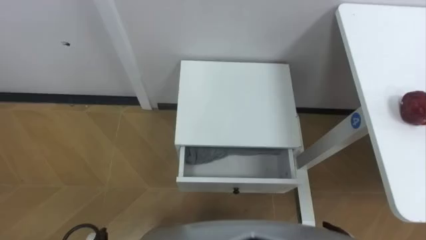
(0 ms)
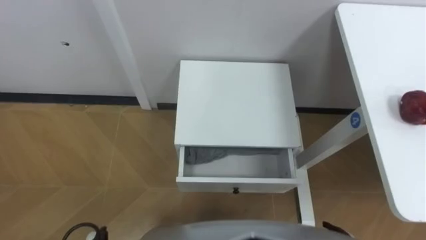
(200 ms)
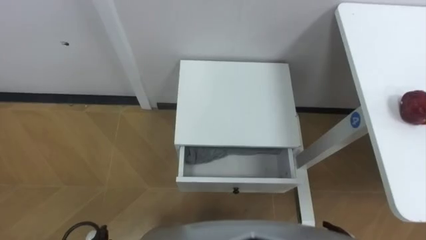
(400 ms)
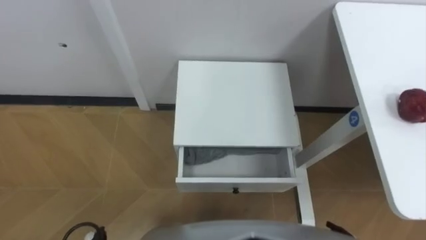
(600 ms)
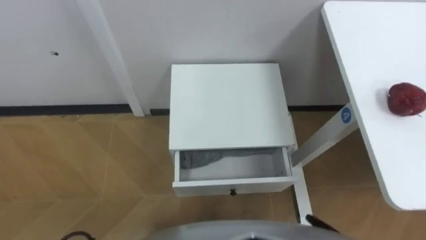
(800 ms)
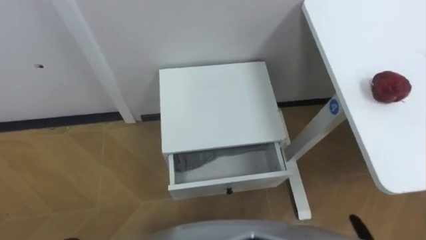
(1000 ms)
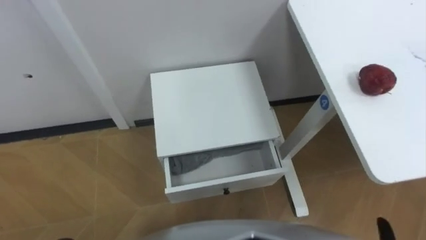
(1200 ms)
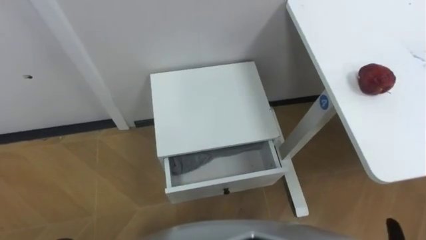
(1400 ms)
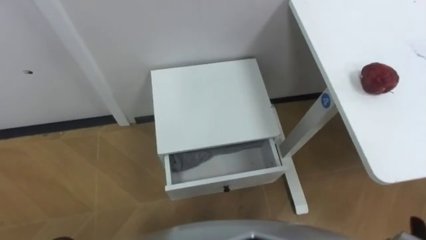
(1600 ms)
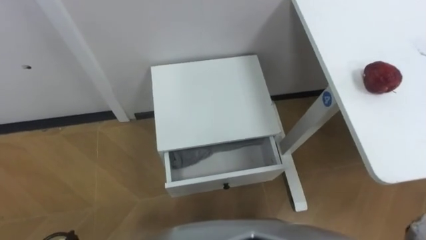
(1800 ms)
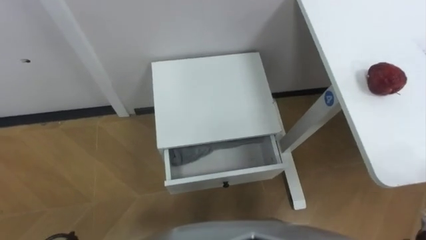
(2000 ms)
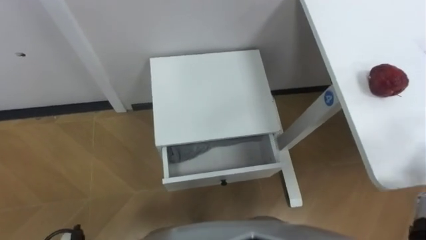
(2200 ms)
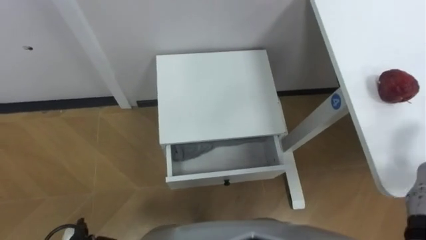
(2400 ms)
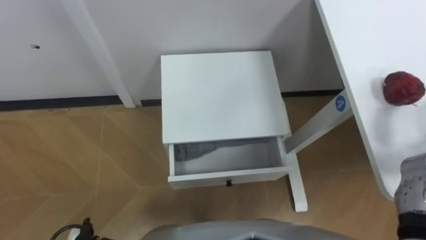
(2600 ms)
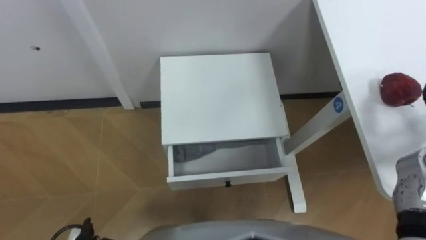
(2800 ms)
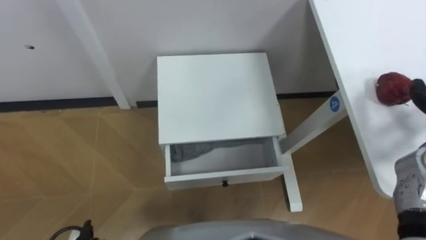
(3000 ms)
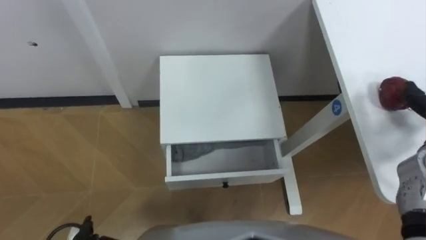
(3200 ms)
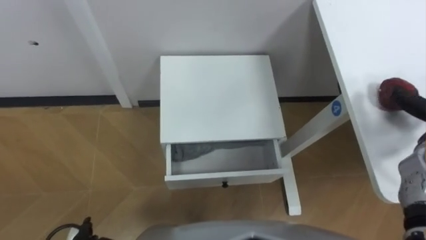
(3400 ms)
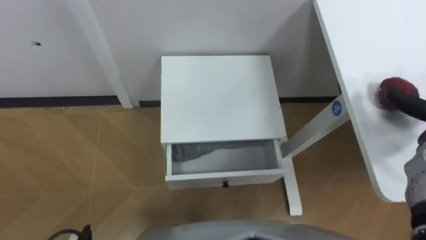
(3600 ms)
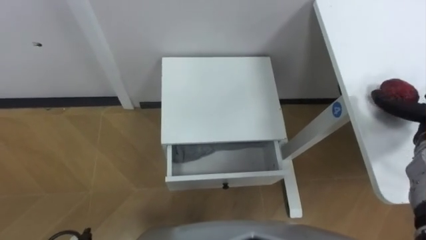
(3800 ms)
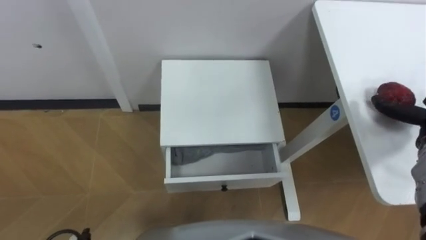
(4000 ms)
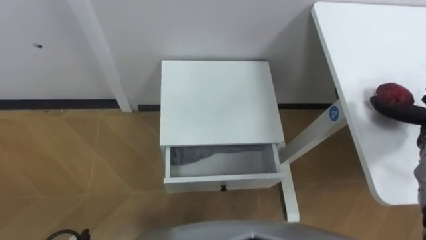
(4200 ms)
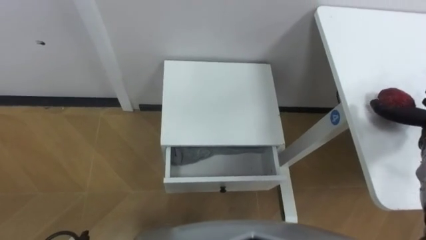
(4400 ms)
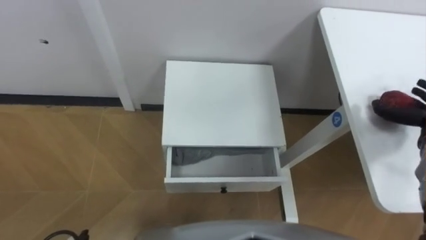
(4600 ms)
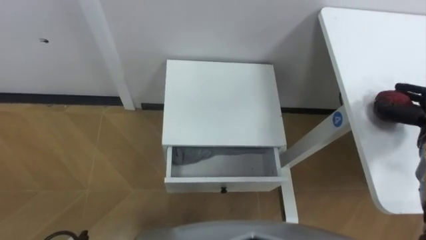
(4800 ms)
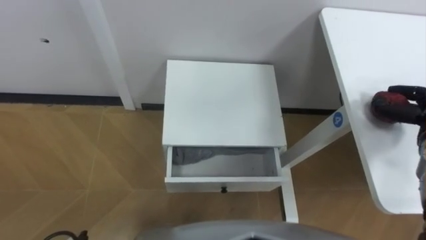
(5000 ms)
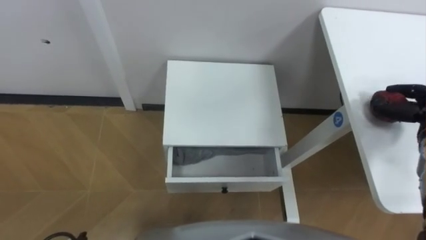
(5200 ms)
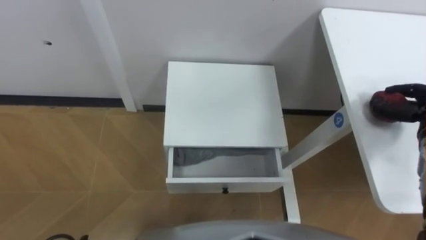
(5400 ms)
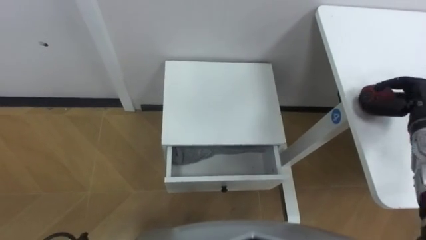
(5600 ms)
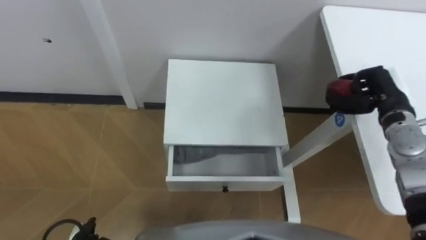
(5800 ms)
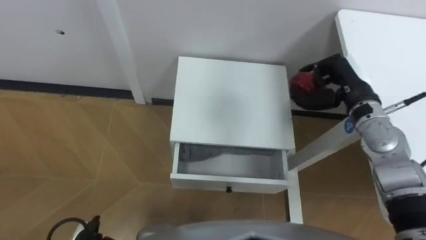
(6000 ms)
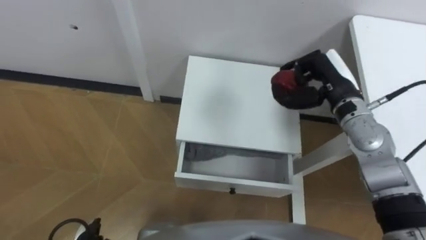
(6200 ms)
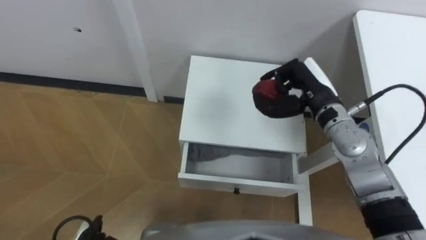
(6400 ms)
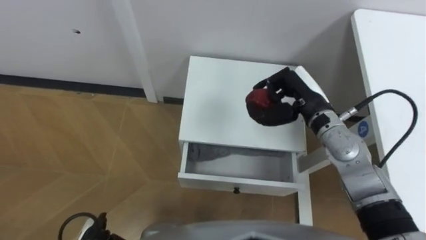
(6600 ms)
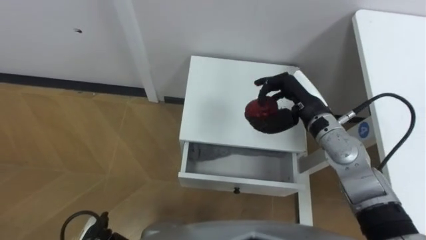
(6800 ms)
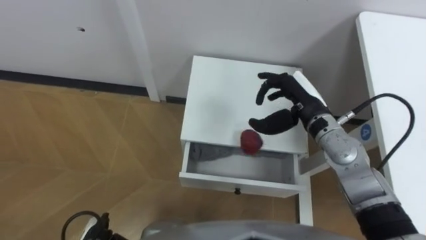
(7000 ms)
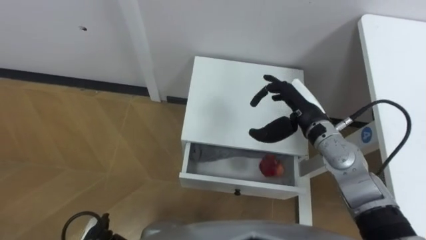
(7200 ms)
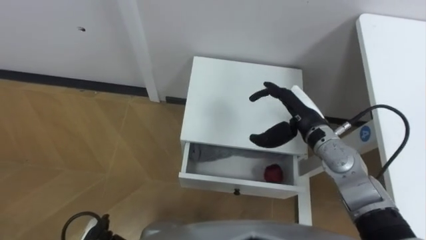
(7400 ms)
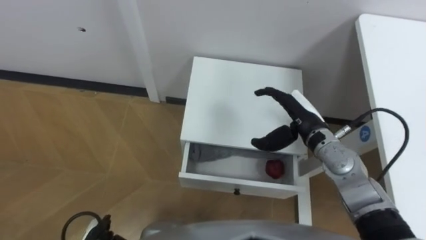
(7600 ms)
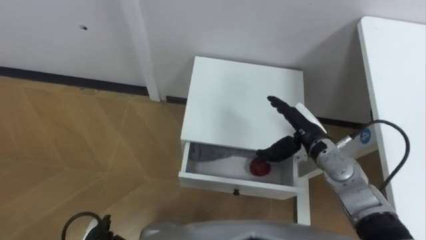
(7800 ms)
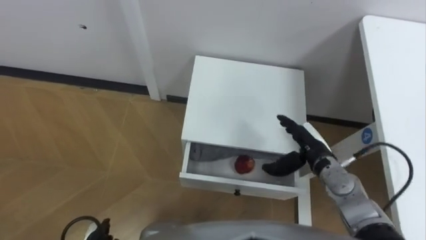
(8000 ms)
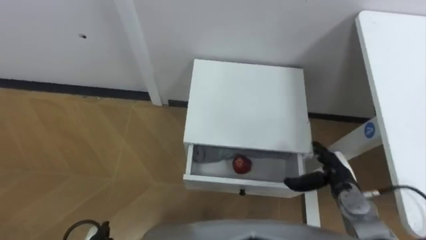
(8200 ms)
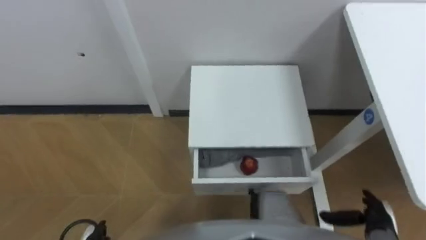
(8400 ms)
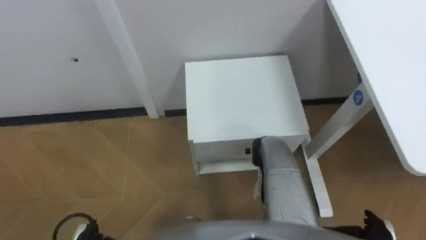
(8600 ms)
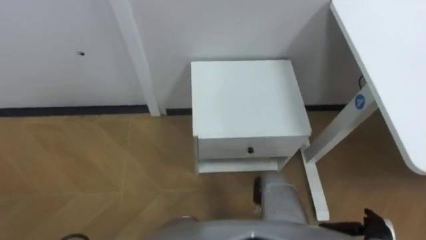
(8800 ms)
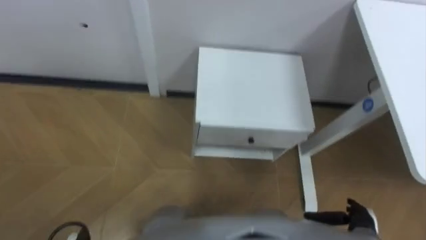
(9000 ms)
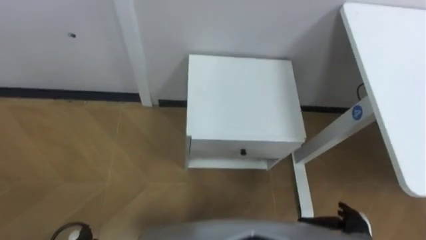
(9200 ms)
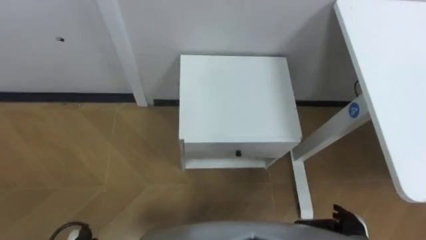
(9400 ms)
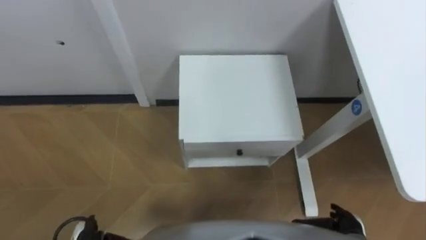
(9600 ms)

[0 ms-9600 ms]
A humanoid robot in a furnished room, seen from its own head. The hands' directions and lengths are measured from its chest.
Task of the whole recording: Pick up the apple from the table, put it in the drawer, and close the drawer with leg.
6400 ms to 8000 ms: The right hand moves downward and backward, approximately 15 cm, and opens up.
8000 ms to 9600 ms: The right hand travels backward, downward and to the right by roughly 20 cm.

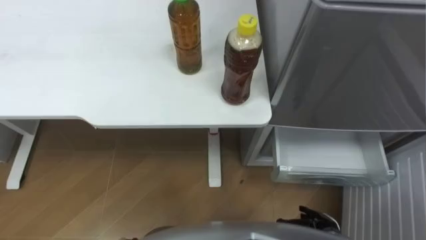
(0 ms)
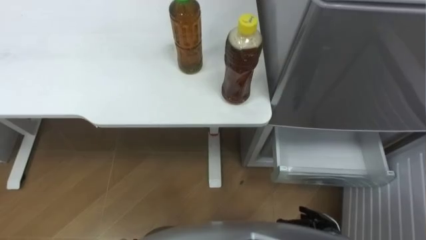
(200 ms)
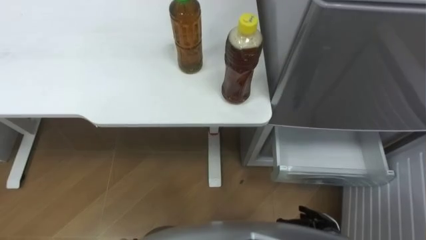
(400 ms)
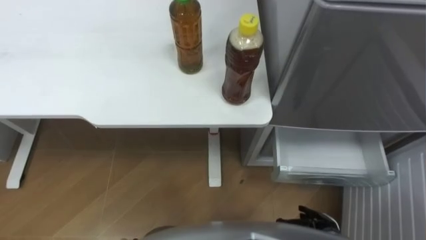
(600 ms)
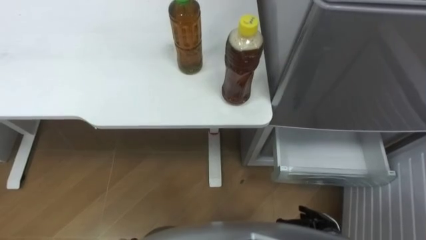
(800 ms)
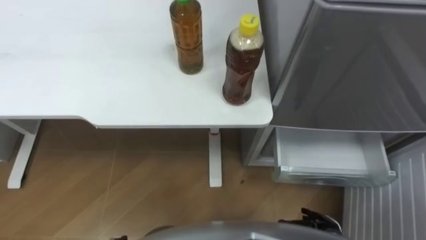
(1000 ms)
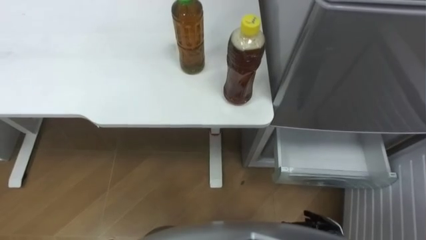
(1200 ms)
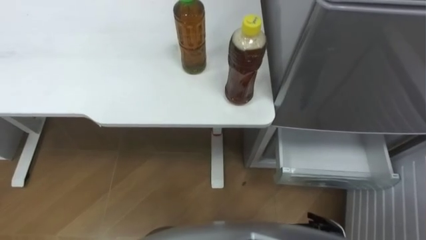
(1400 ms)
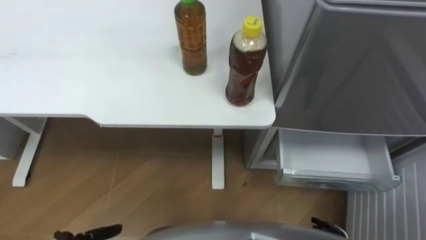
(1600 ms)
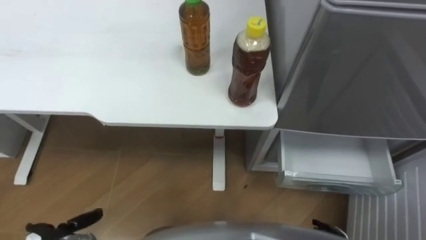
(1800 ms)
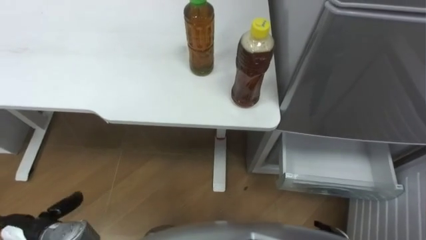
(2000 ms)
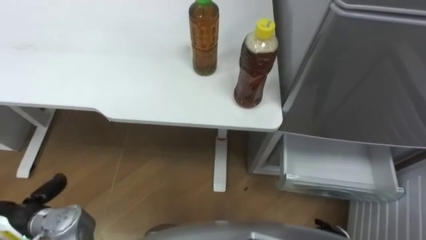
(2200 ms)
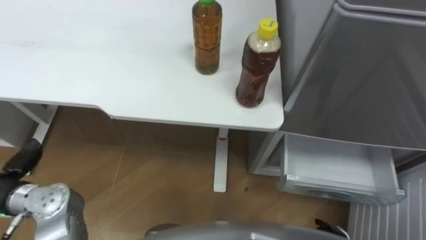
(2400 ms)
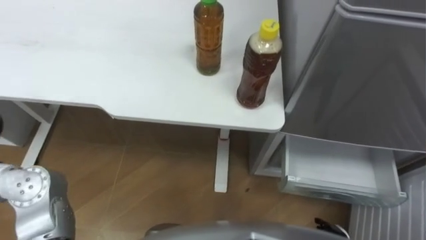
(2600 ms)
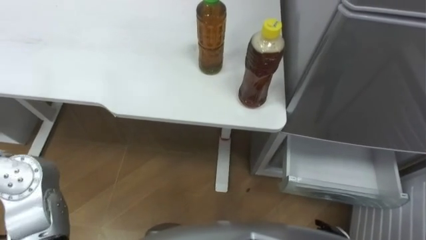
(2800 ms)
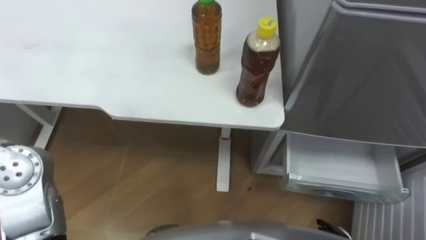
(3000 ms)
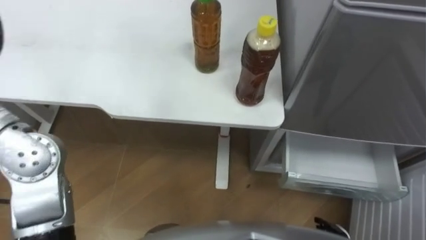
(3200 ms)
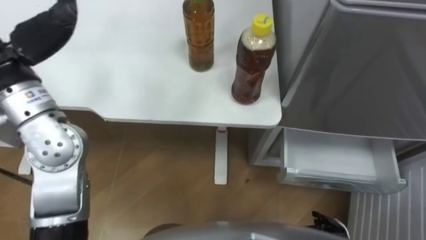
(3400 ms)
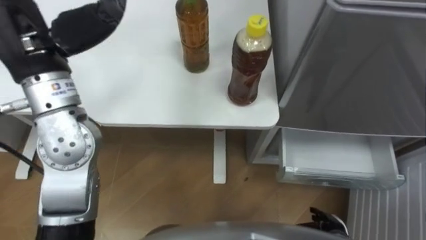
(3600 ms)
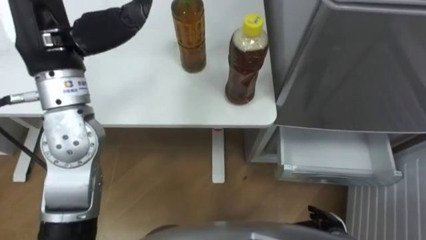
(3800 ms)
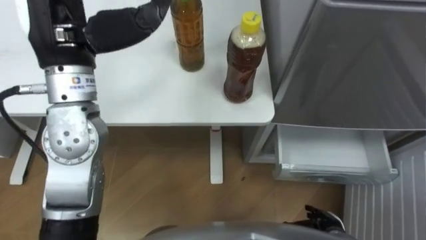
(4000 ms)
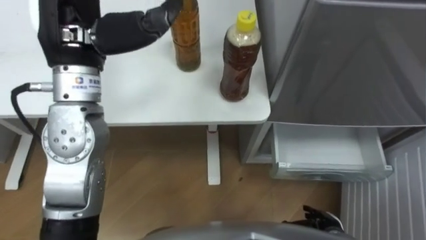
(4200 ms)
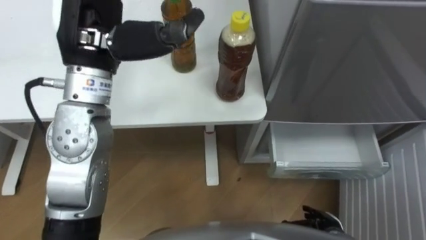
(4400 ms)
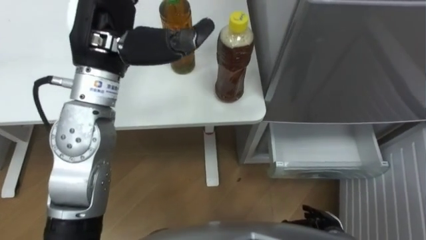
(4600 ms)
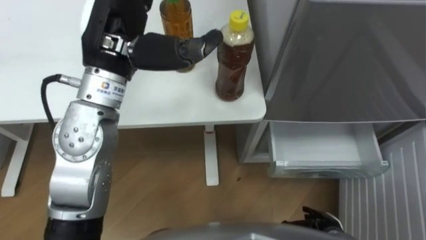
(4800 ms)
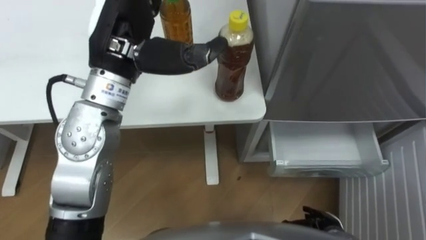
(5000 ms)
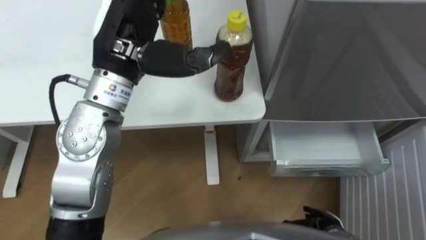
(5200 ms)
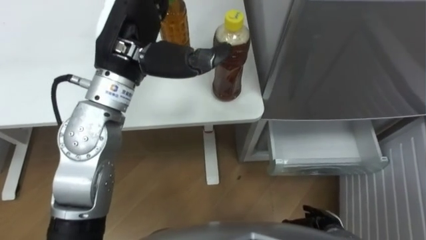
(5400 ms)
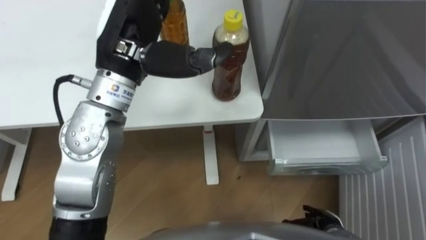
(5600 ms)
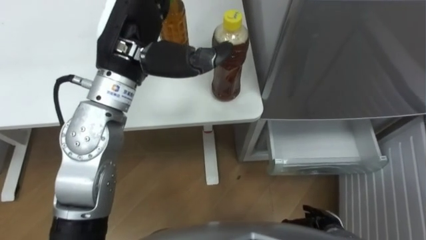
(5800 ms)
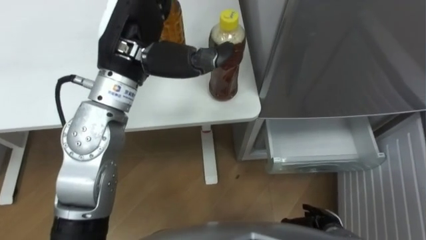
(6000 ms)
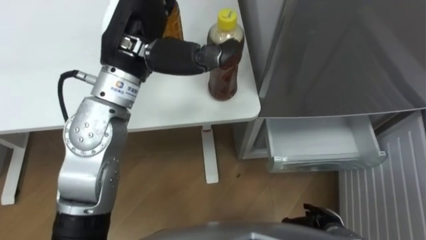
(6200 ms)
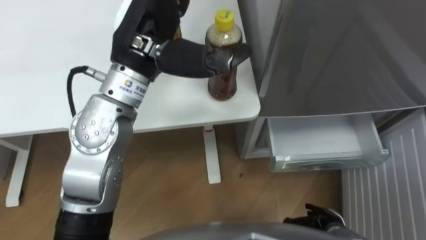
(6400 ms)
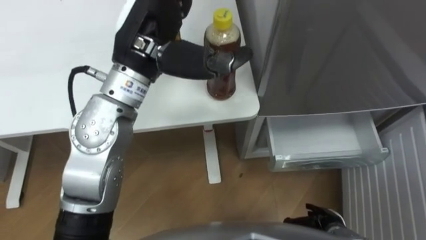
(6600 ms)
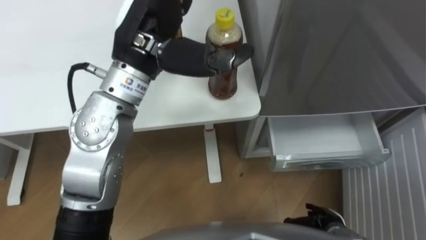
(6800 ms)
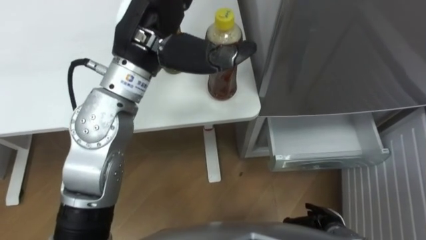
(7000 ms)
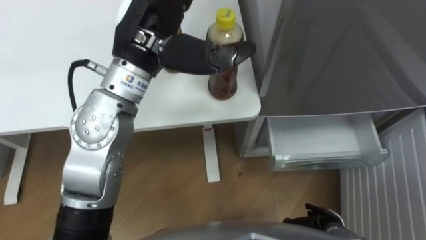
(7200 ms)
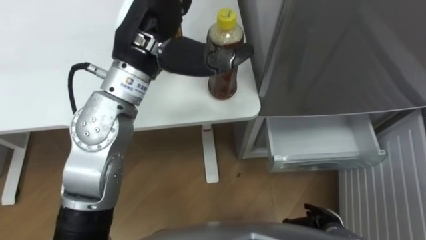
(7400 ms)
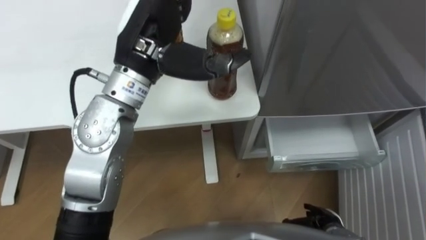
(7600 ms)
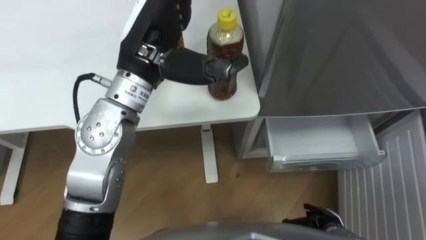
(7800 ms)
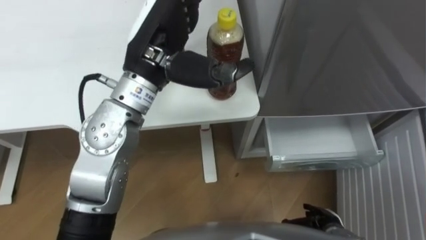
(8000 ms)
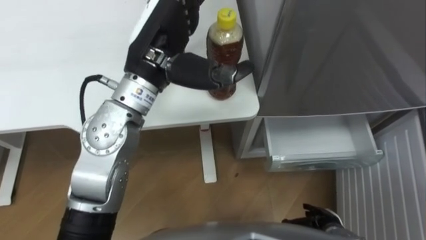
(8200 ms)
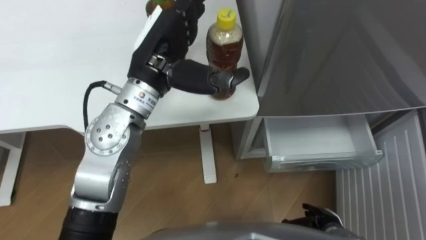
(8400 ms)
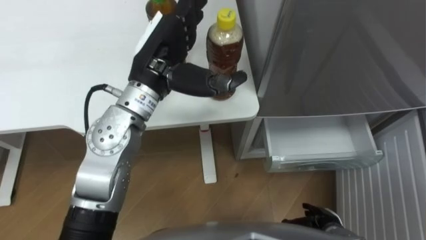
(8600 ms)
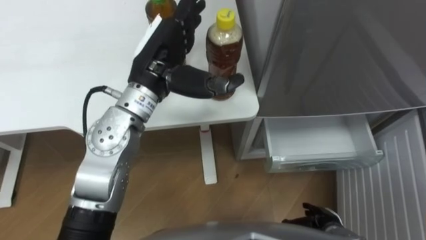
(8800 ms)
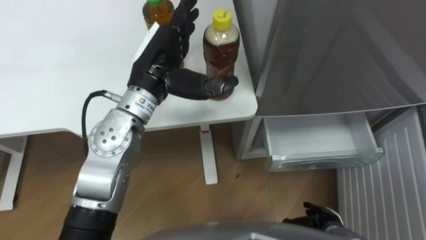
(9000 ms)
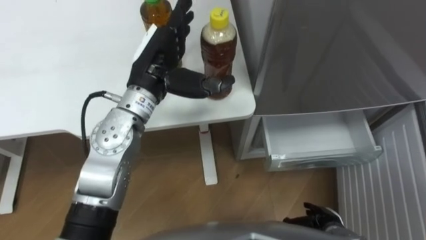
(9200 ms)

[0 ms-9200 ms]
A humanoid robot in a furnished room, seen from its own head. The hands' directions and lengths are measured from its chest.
Task of the whole recording: Place the drink on the table on the bottom shelf of the refrigerator, then close the drawer and the refrigerator door.
6200 ms to 7600 ms: The hands move only a little.
7600 ms to 9200 ms: The left hand heads downward, covering approximately 10 cm.
